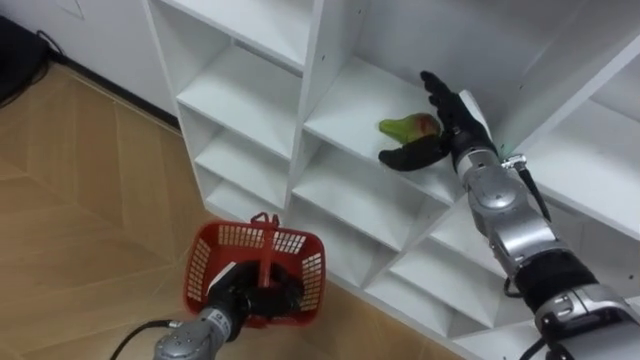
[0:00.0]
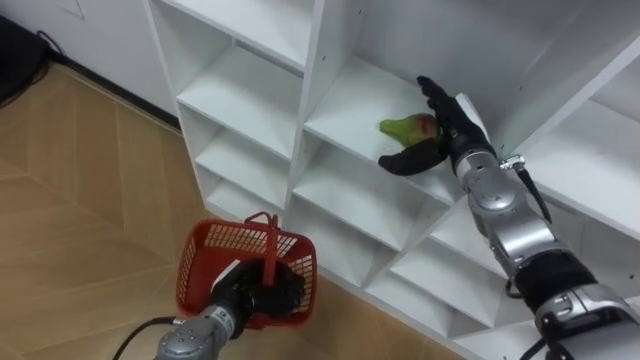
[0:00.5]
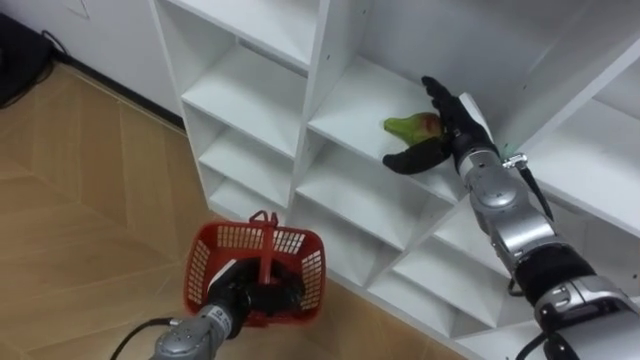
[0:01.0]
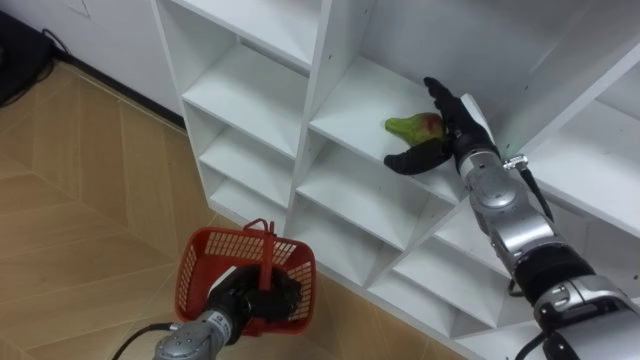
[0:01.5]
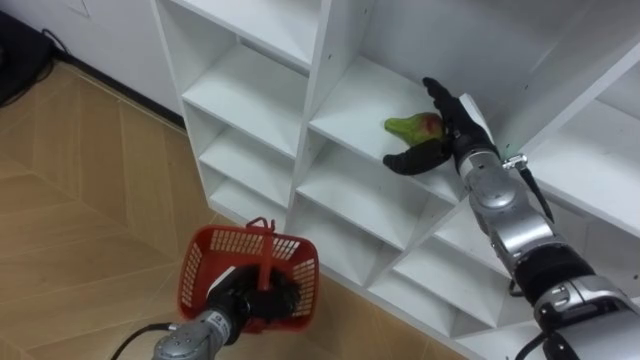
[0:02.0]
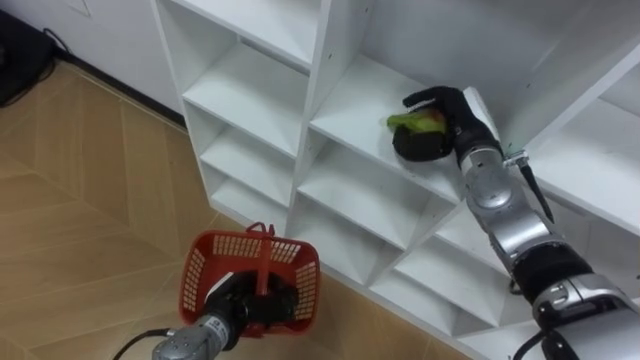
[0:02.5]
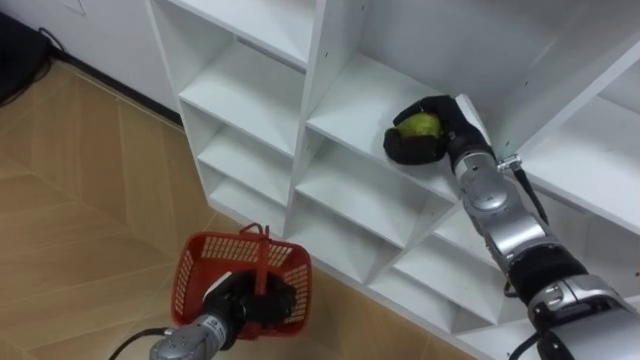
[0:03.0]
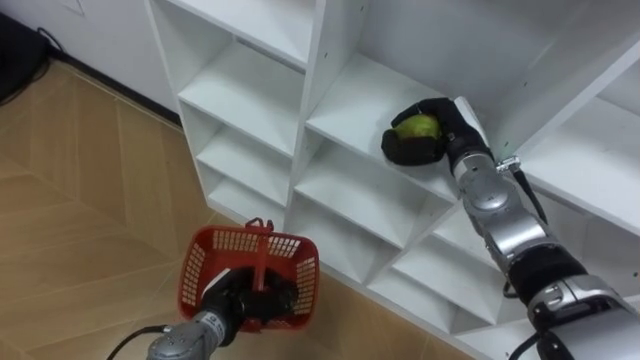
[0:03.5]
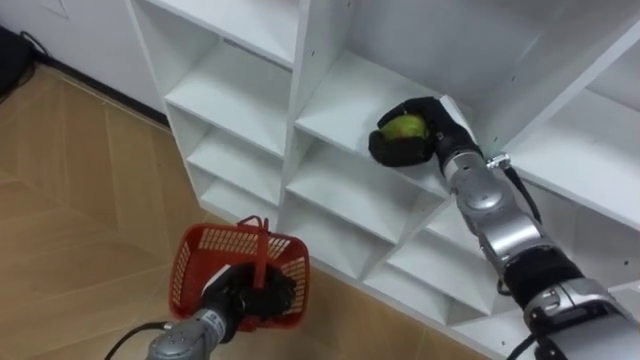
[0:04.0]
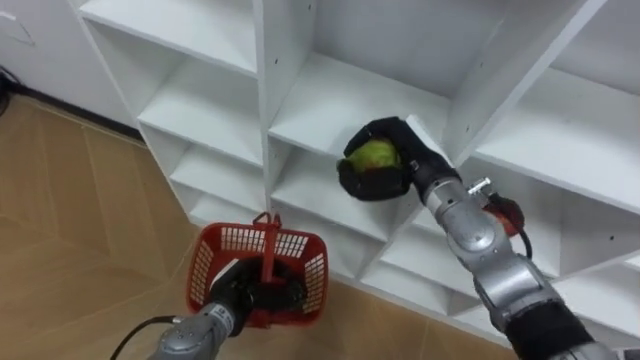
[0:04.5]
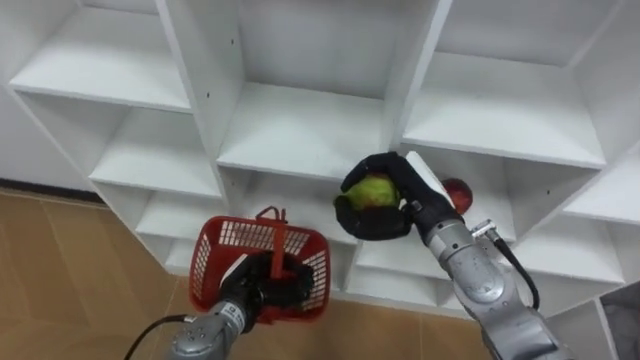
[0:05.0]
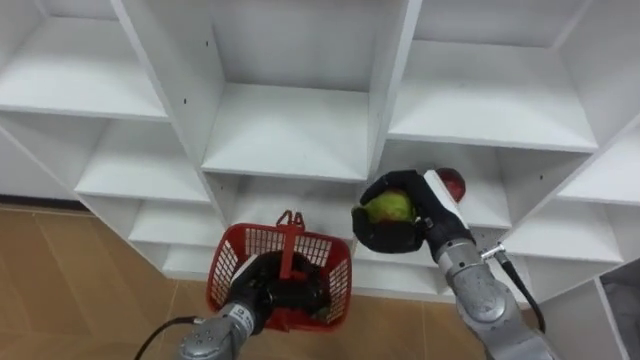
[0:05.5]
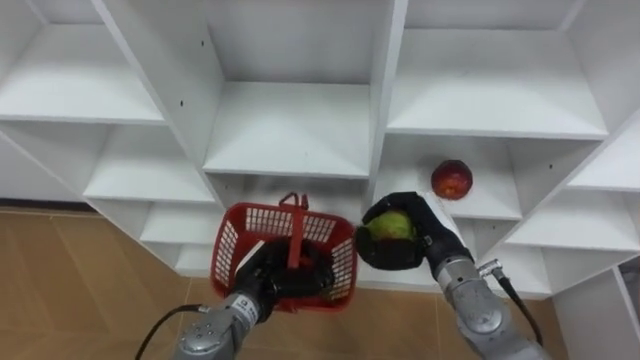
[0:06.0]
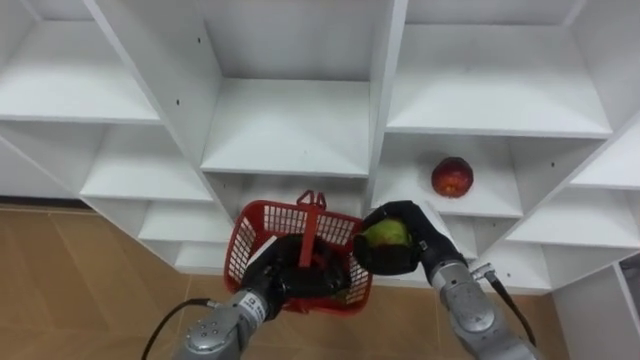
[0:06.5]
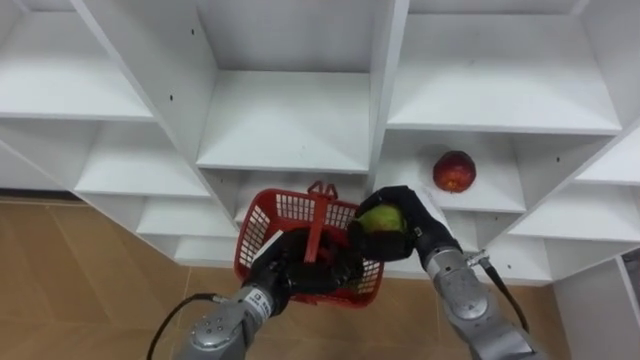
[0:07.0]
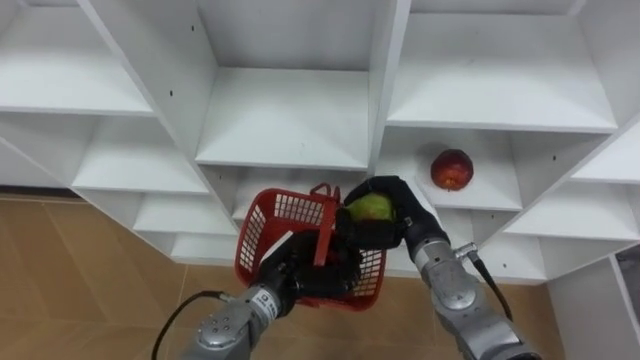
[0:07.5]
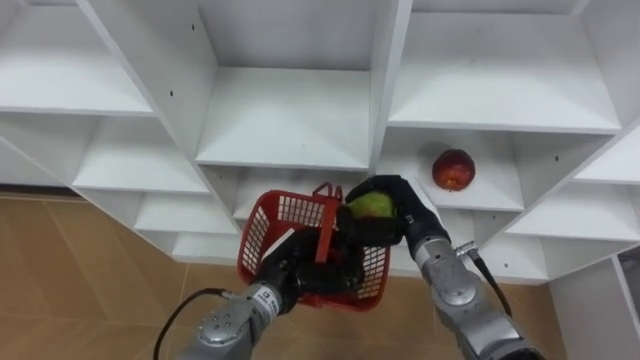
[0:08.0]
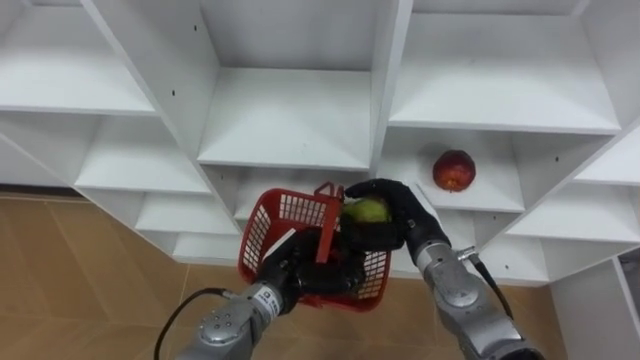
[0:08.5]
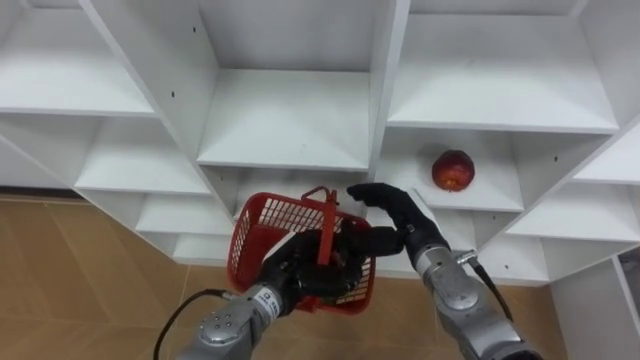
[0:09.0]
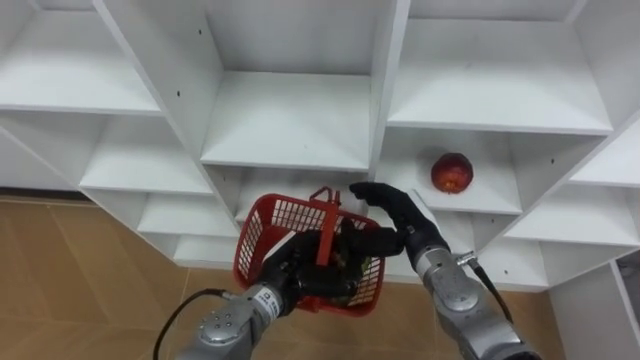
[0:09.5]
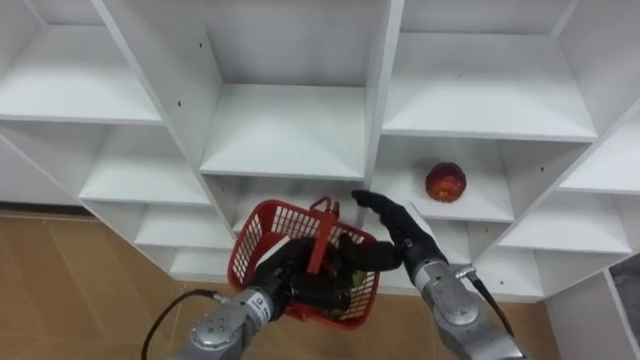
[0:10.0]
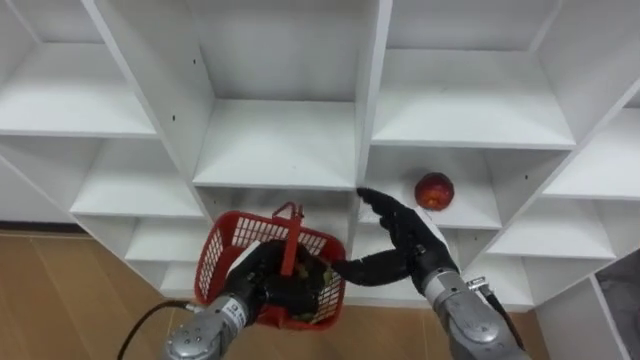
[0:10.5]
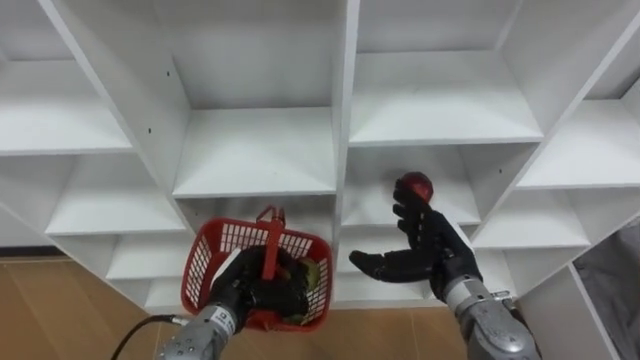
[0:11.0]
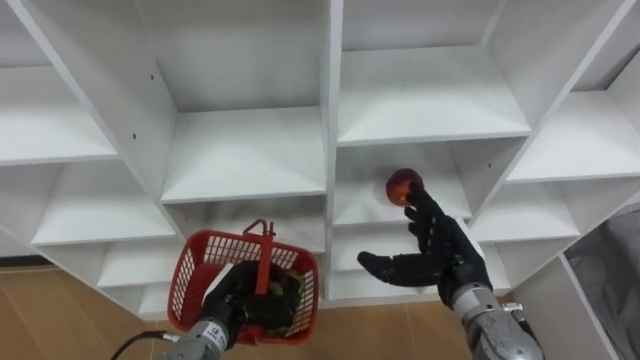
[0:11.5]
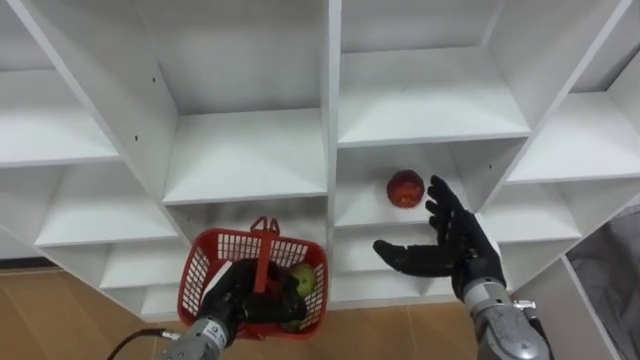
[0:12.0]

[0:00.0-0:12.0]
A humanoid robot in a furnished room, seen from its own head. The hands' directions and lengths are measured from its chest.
Task of the whole recording: Hold the basket and collect the fruits from 3 different cells of the closet into it.
0:00.0 to 0:02.0: There are only small adjustments of the hands.
0:02.0 to 0:04.0: The right hand closes up.
0:04.0 to 0:06.0: The left hand shifts by about 5 cm. Meanwhile the right hand travels backward and downward by roughly 15 cm.
0:08.0 to 0:10.0: The right hand opens.
0:10.0 to 0:12.0: The left hand shifts approximately 10 cm to the left, while the right hand heads to the right, covering roughly 5 cm.

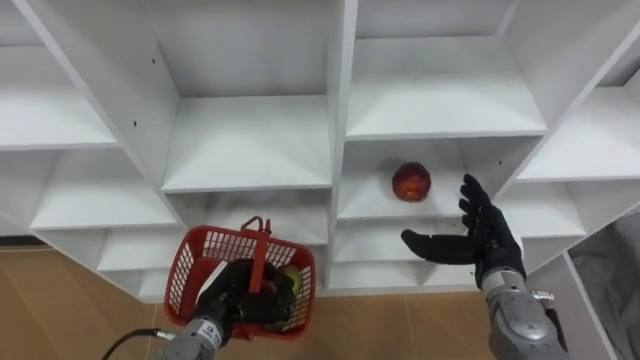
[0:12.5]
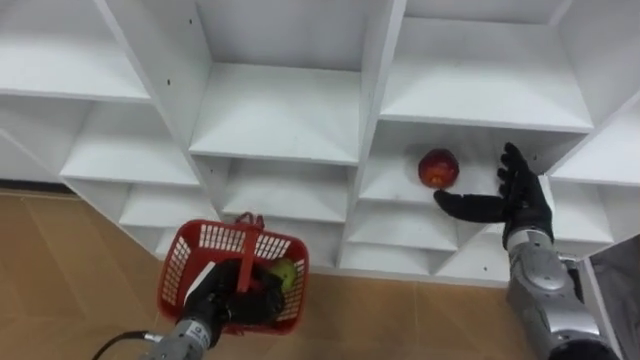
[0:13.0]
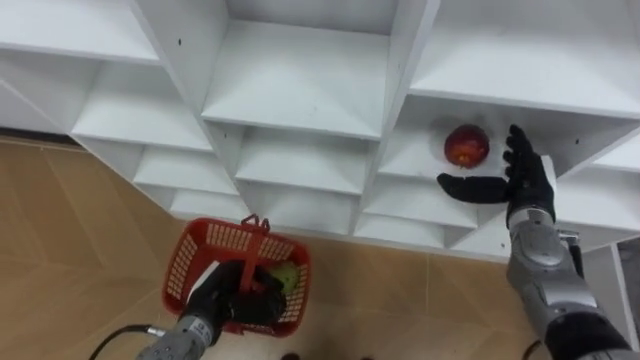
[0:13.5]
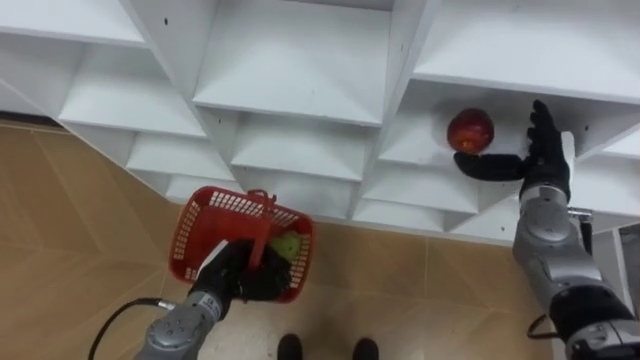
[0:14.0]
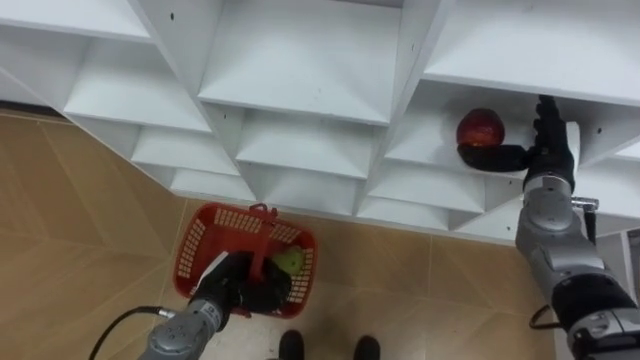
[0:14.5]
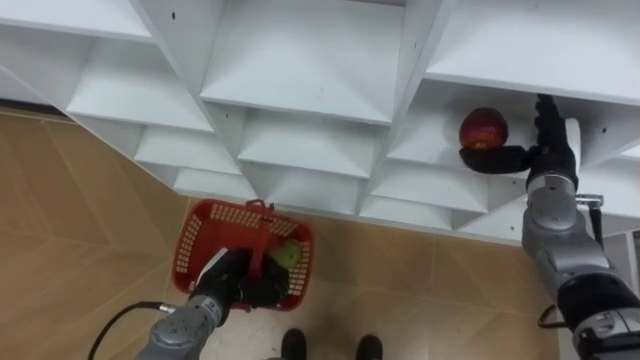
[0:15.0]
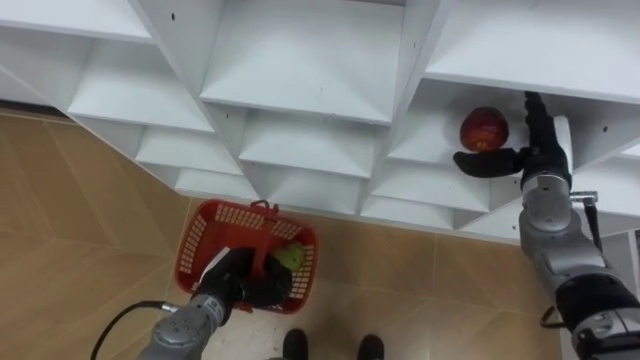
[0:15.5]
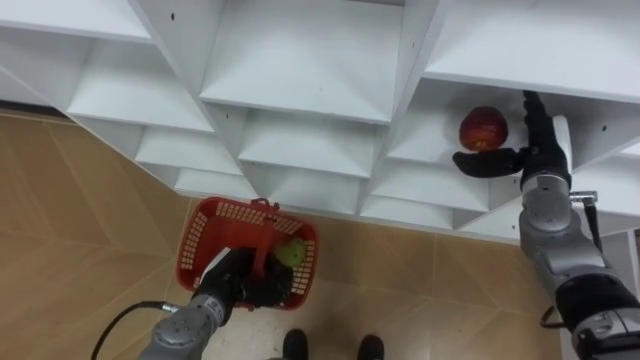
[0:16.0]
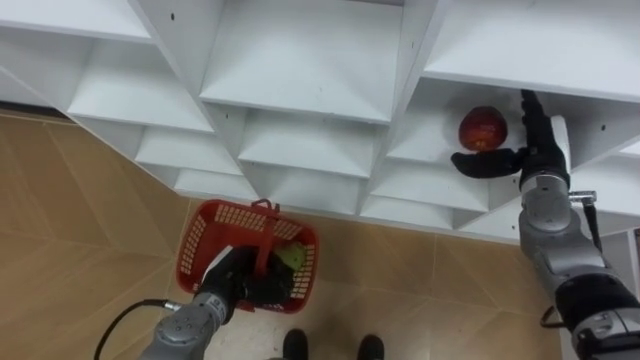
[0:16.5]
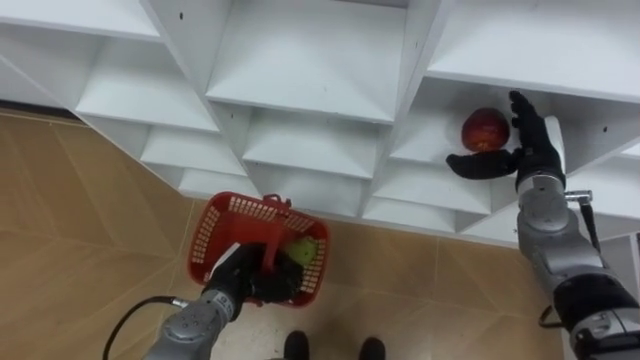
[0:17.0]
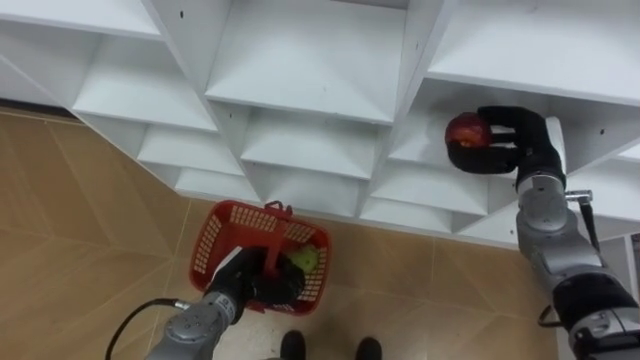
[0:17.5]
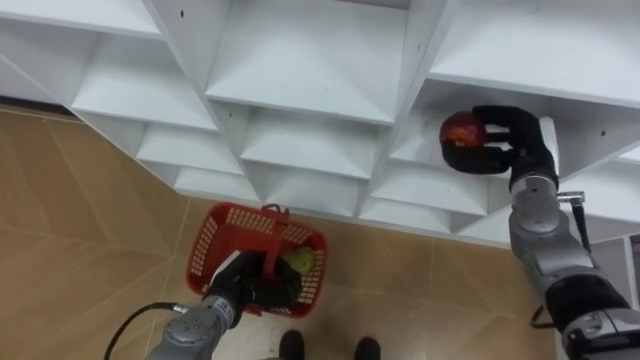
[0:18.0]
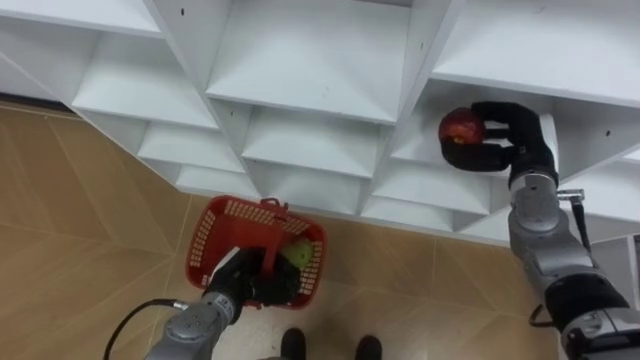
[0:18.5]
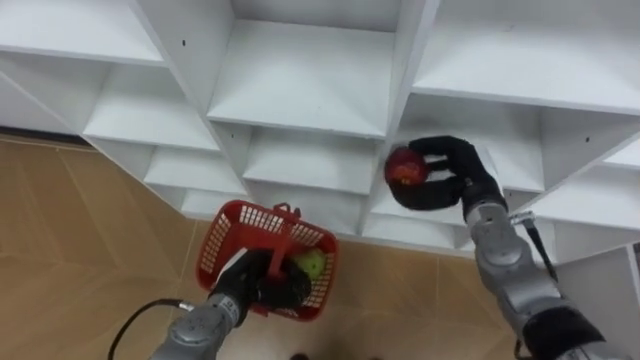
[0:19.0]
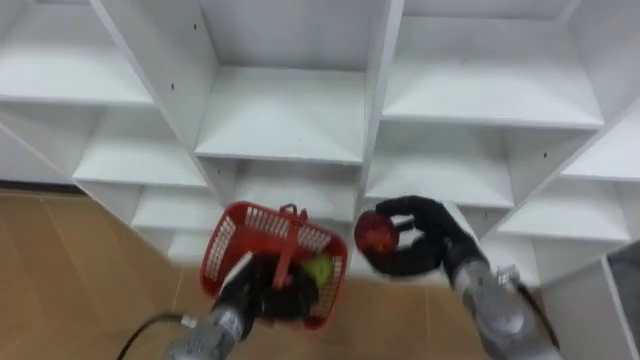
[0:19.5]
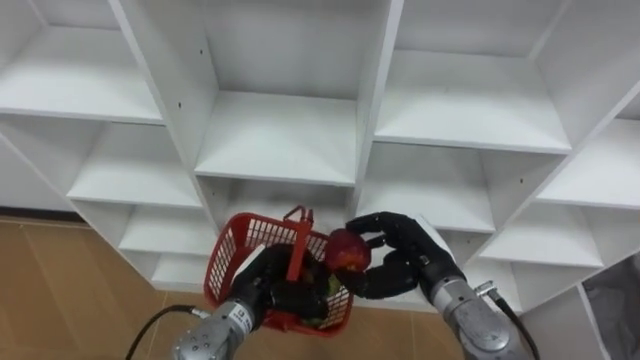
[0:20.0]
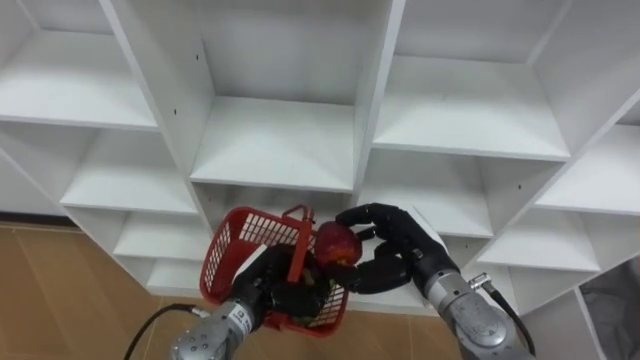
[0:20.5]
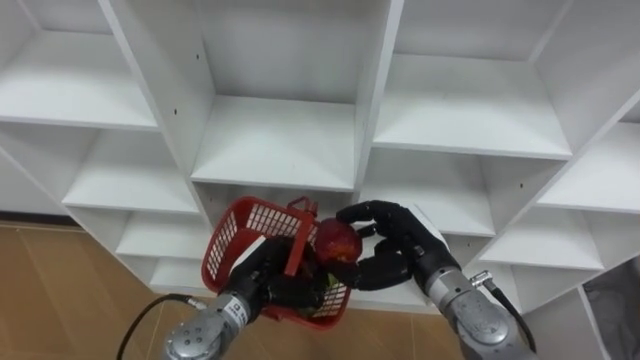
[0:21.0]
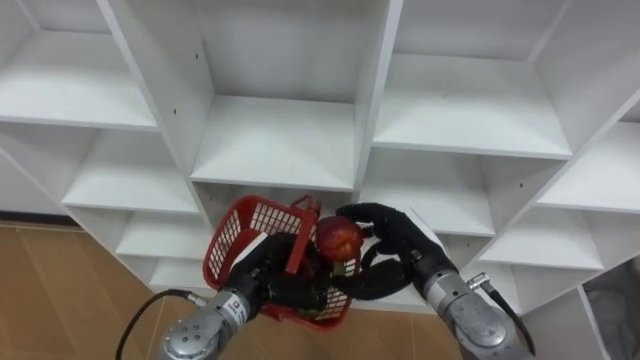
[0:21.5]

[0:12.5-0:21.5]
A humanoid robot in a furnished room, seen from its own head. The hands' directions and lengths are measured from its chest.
Task of the whole recording: Hold the basket and collect the fruits from 3 different cells of the closet into it.
0:12.5 to 0:14.5: The right hand travels forward, upward and to the right by about 15 cm.
0:14.5 to 0:17.0: The hands make only small movements.
0:17.0 to 0:19.5: The right hand is displaced to the left, backward and downward by about 15 cm, and closes its fingers.
0:19.5 to 0:21.5: The right hand goes approximately 5 cm to the left.
